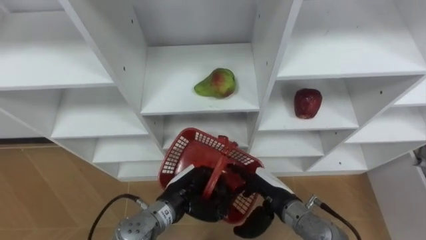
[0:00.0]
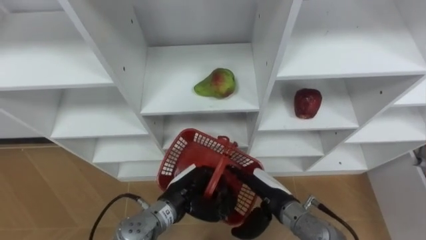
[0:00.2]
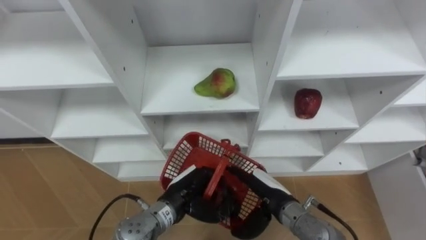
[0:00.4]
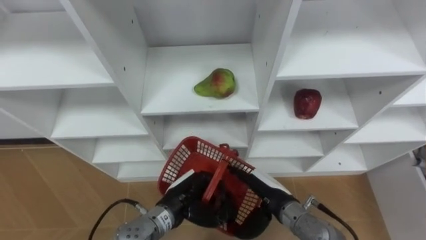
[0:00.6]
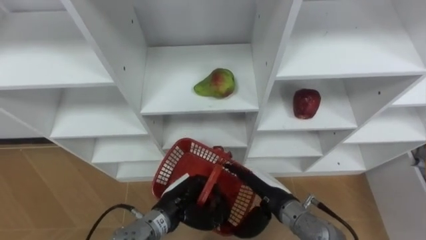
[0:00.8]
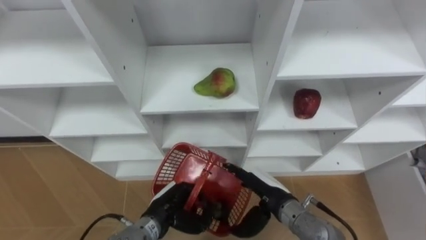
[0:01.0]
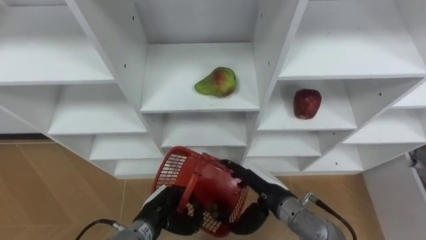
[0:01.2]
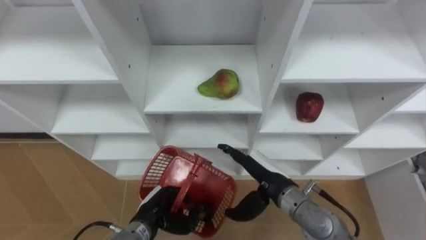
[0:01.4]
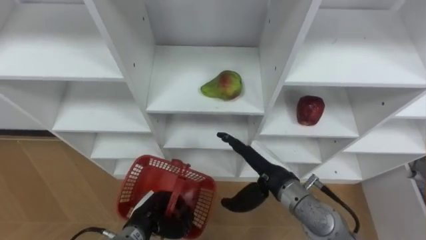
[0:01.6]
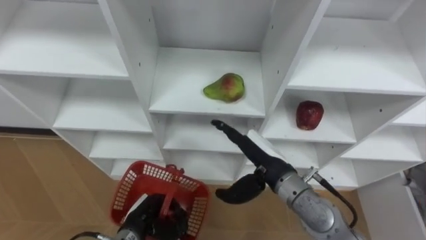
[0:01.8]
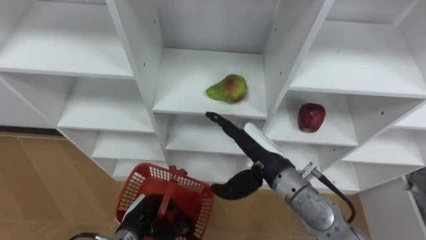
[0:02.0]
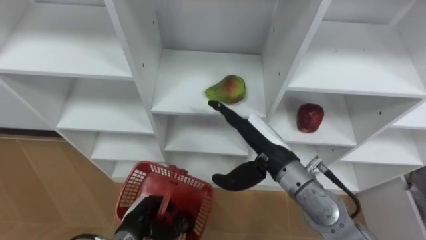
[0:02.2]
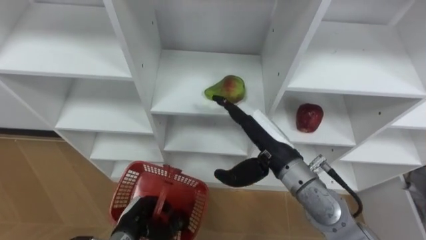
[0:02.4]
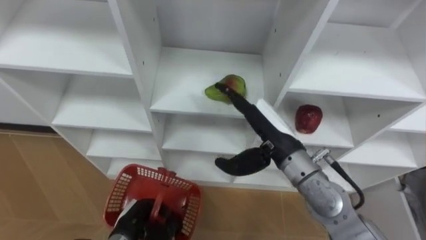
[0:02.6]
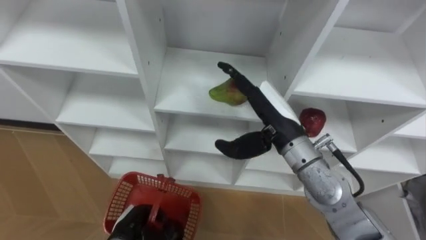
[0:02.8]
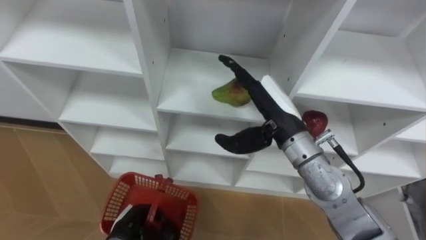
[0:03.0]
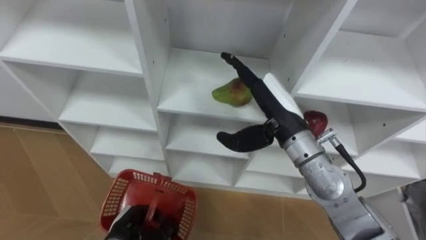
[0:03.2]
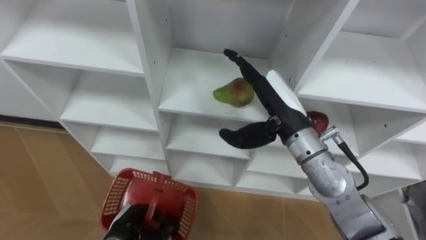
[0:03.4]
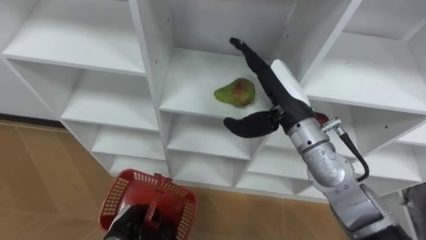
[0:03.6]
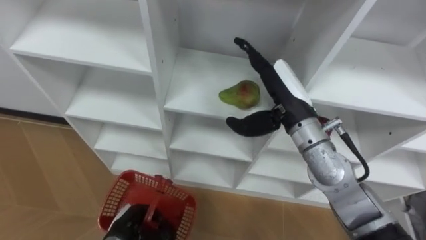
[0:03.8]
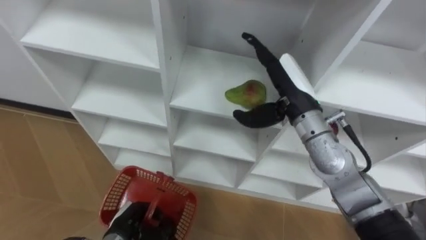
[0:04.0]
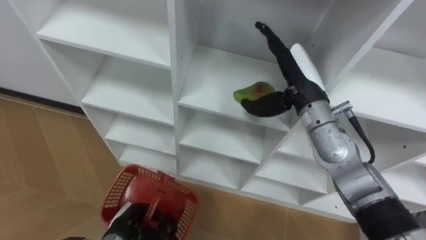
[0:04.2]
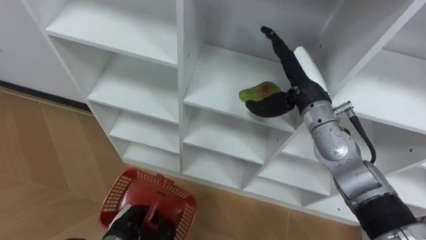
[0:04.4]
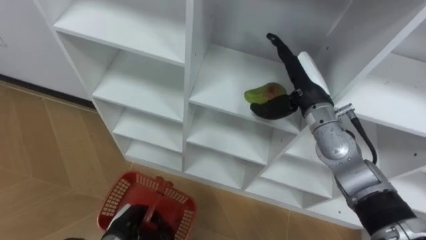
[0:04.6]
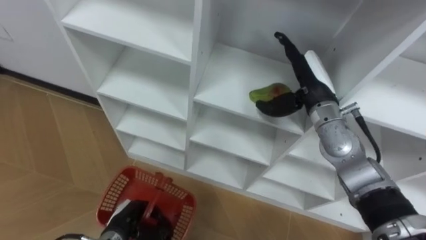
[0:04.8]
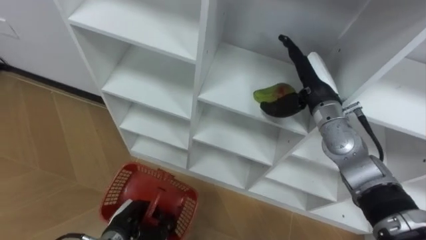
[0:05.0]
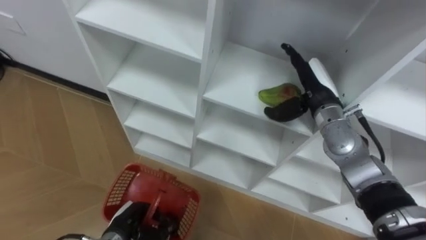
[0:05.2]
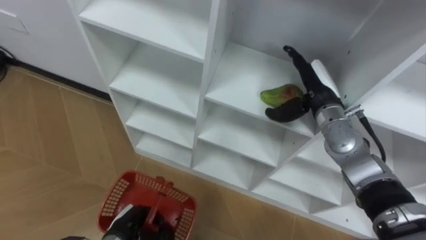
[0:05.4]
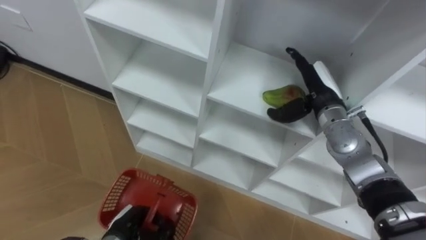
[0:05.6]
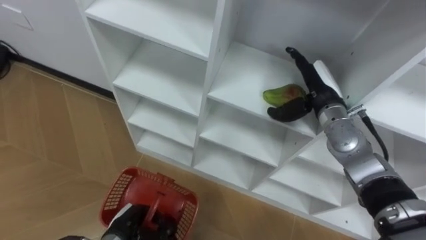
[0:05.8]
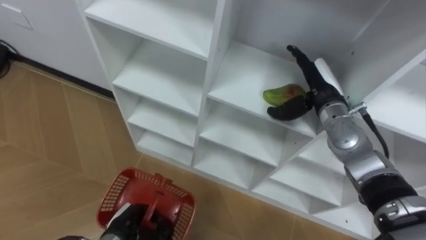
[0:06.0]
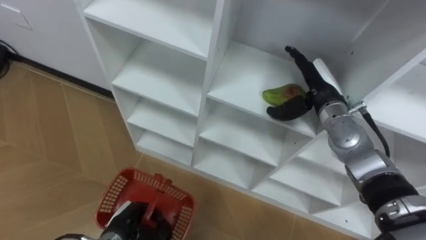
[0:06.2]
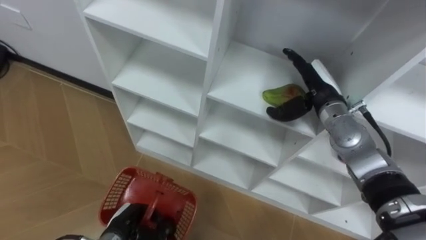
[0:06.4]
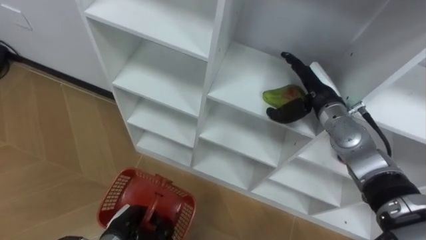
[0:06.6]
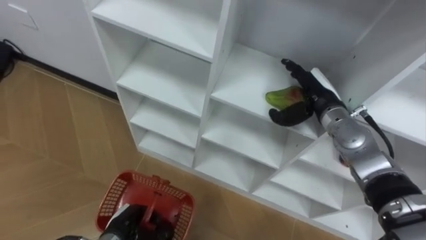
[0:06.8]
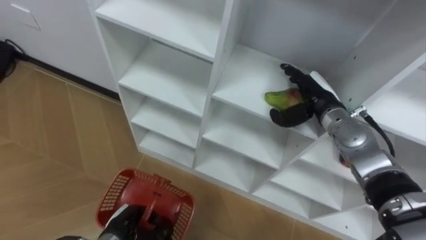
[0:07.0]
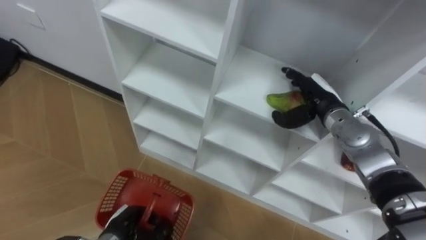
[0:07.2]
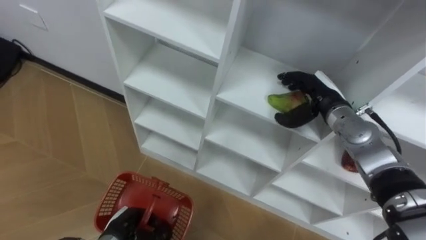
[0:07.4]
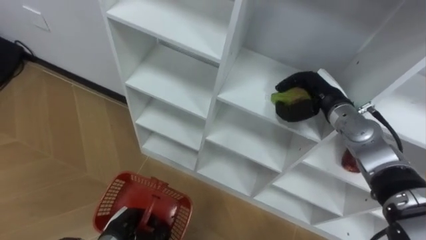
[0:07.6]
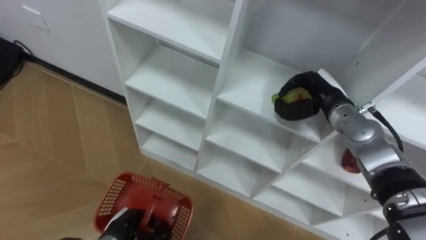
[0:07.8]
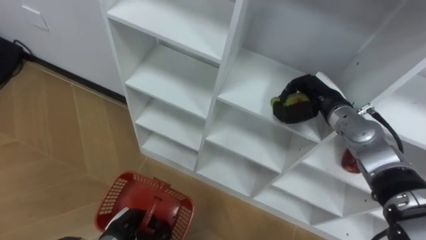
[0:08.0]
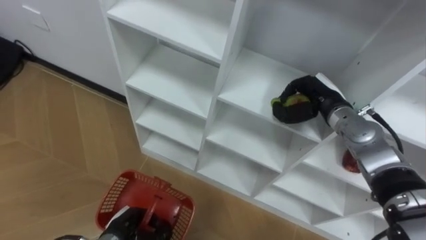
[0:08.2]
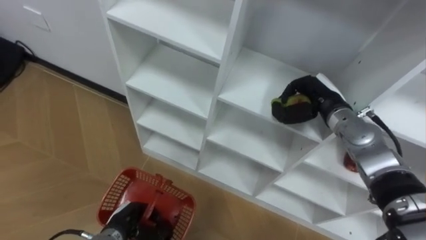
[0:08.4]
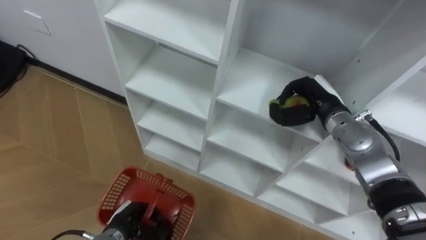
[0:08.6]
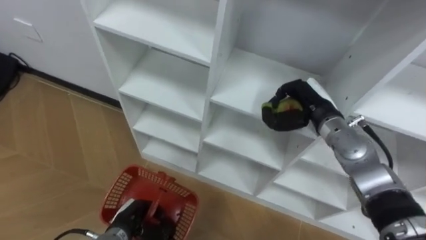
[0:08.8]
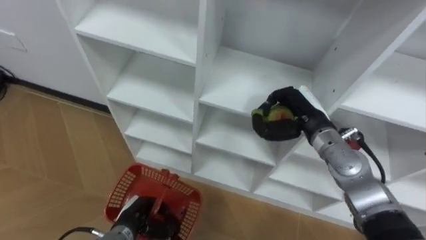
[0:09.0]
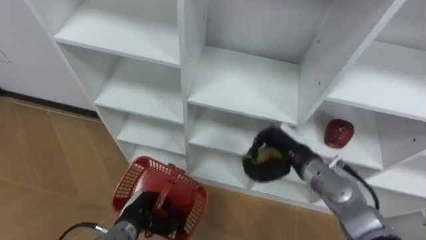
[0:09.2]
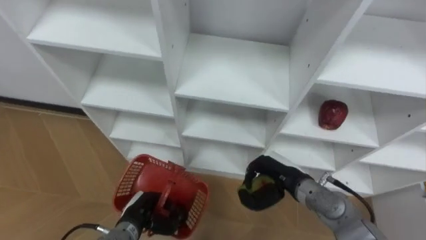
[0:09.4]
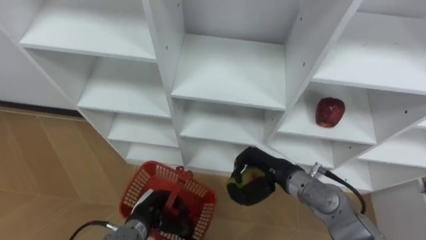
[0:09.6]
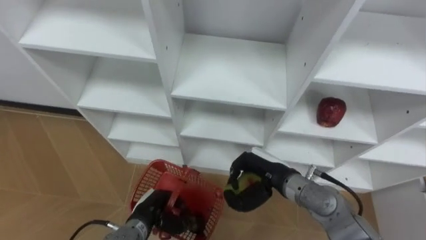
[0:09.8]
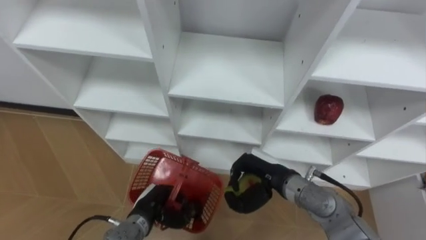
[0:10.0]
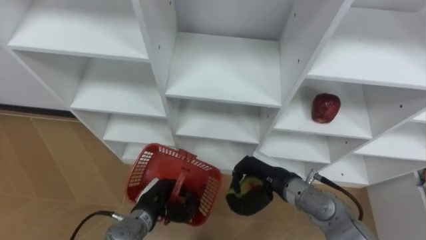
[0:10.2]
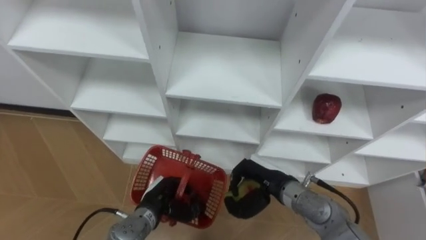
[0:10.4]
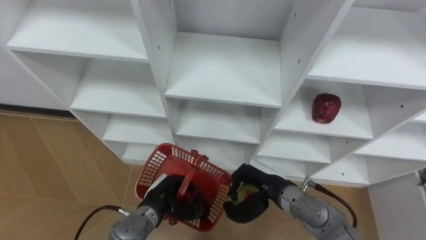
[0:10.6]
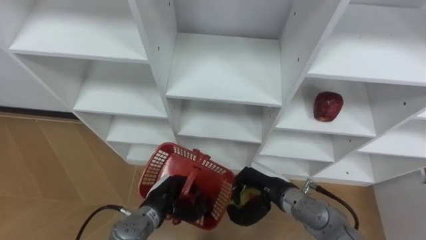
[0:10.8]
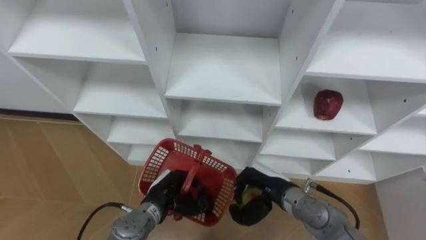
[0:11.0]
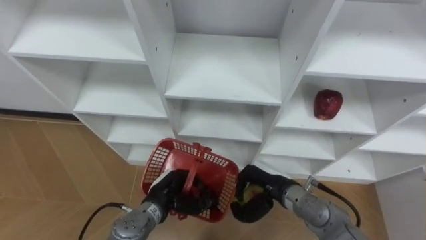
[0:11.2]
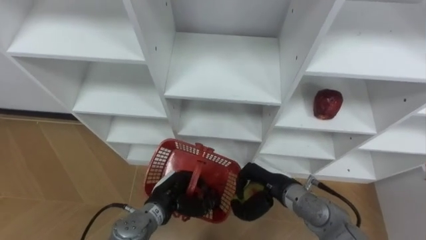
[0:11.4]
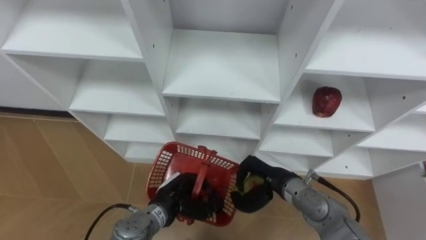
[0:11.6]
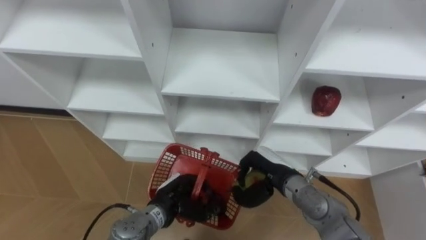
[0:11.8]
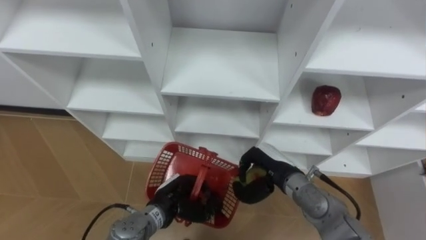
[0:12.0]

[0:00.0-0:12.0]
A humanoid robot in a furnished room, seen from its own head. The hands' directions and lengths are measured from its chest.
Task of the whole recording: Hold the basket and collect the fruits from 3 different cells of the closet into it.
0:00.0 to 0:01.6: The right hand is displaced upward by approximately 5 cm; the left hand travels to the left and downward by about 10 cm.
0:01.6 to 0:03.0: The left hand moves approximately 5 cm. Meanwhile the right hand is displaced upward by some 10 cm.
0:03.0 to 0:04.4: The right hand moves forward and to the right, approximately 10 cm.
0:04.4 to 0:06.0: The right hand goes approximately 5 cm downward and to the right.
0:06.0 to 0:07.6: The right hand closes its fingers.
0:07.6 to 0:09.0: The right hand changes place by some 5 cm.
0:09.0 to 0:10.4: The left hand shifts roughly 5 cm to the right, while the right hand is displaced backward, downward and to the left by approximately 15 cm.

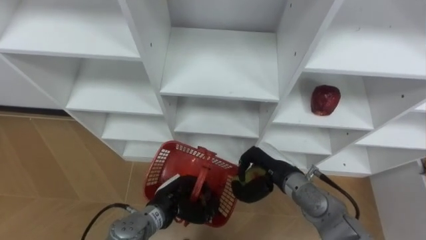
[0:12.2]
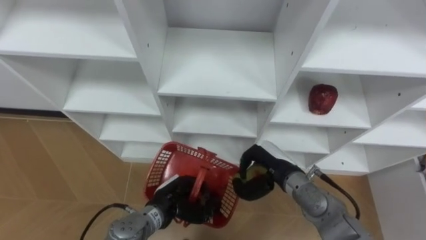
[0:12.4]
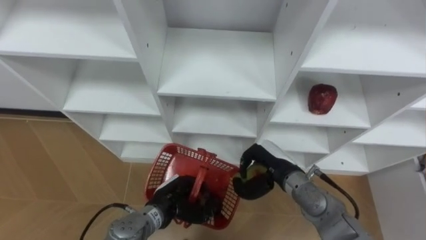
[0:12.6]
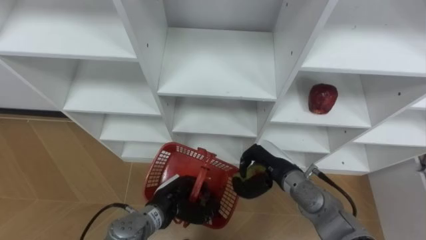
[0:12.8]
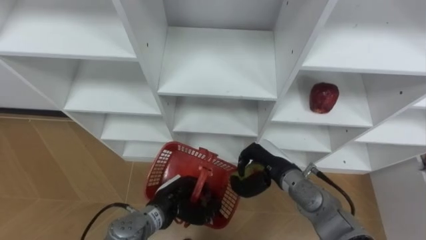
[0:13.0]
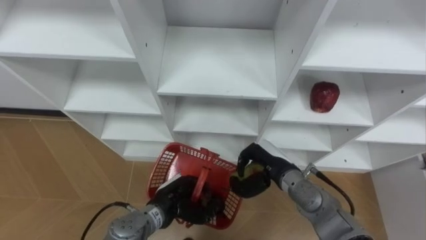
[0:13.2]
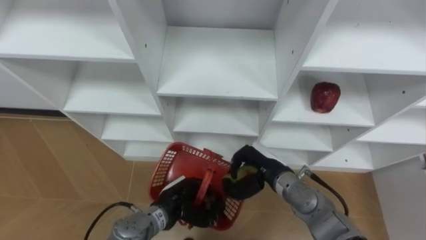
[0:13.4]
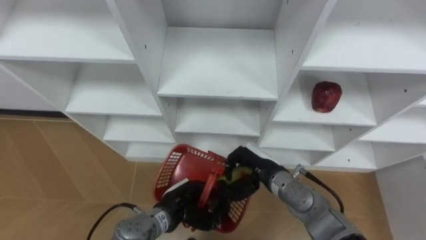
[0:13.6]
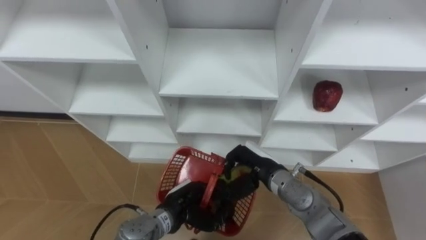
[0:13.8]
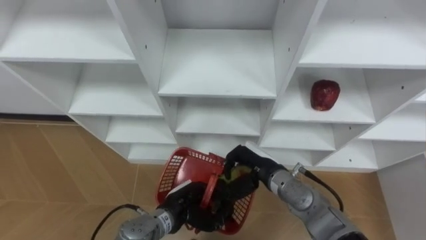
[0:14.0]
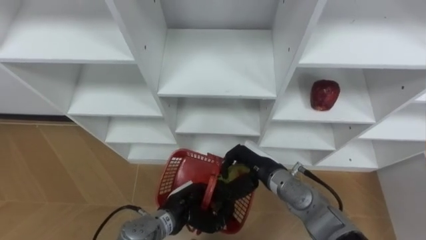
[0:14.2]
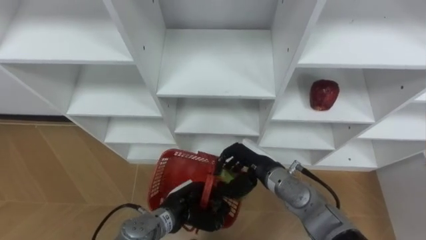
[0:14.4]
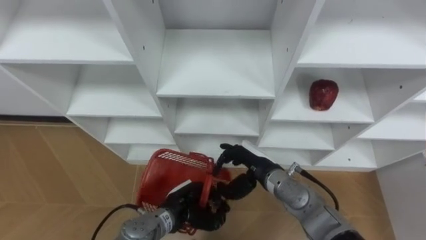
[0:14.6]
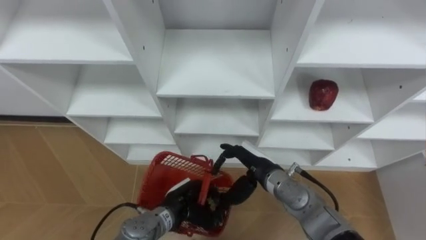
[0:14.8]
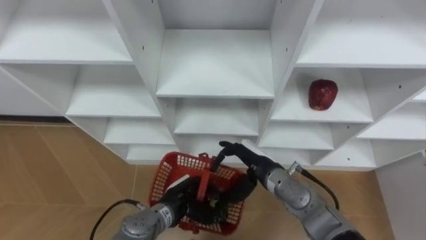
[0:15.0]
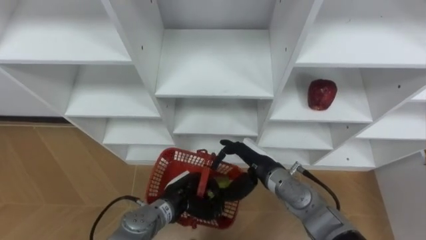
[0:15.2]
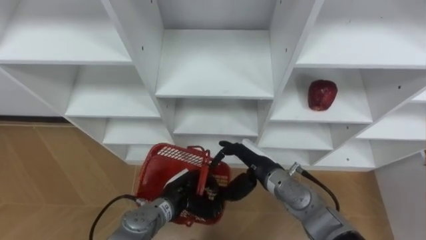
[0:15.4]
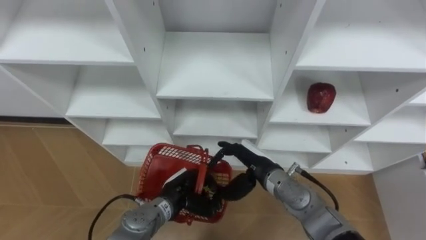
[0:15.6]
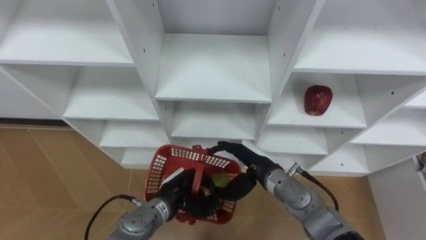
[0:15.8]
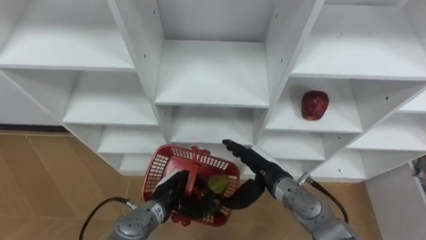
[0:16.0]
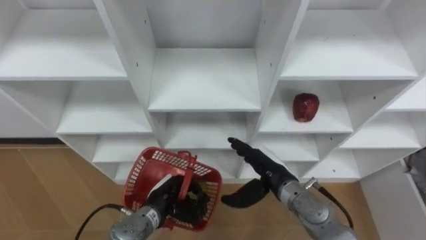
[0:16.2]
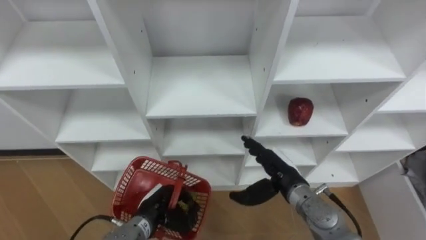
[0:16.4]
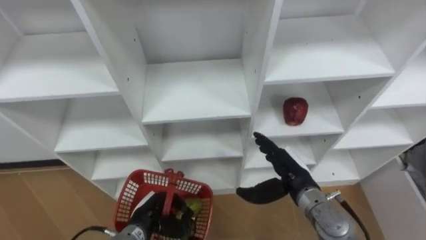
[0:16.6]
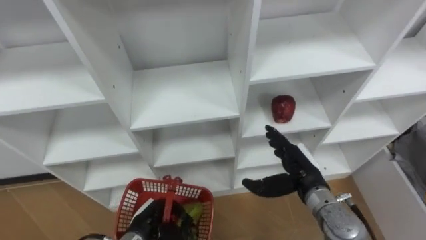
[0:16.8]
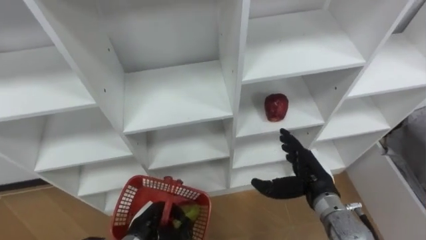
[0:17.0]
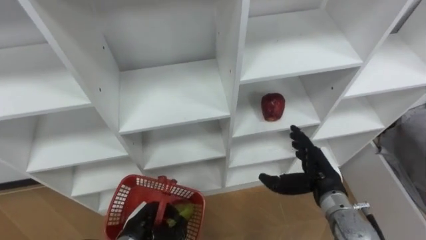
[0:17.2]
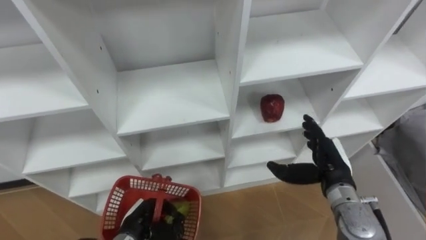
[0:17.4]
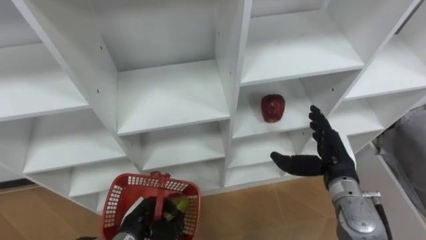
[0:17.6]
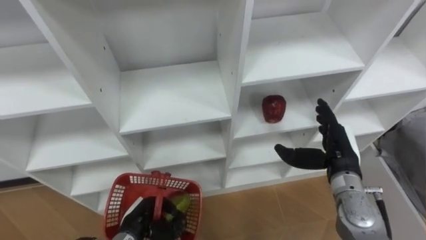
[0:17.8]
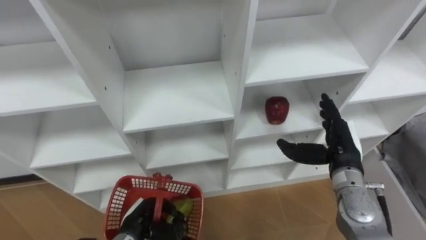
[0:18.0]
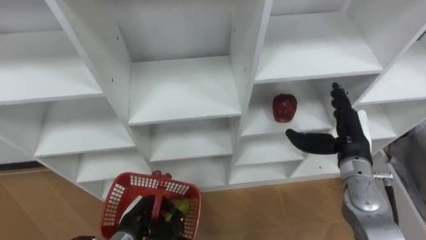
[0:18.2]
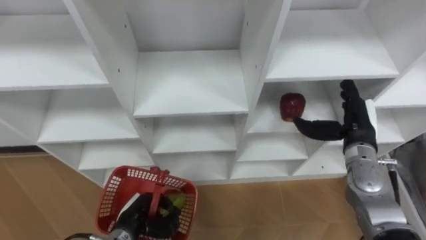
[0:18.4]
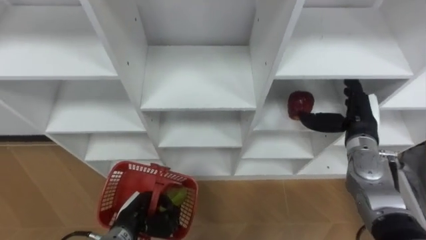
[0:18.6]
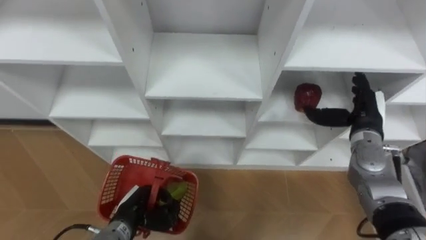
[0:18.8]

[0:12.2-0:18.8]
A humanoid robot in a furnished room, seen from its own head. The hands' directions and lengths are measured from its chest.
Task of the whole recording: Hold the basket and collect the fruits from 3 different cells of the closet into it.
0:13.8 to 0:15.4: The right hand opens.
0:15.4 to 0:17.2: The left hand goes about 10 cm to the left and backward. Meanwhile the right hand shifts roughly 15 cm to the right.
0:17.2 to 0:18.8: The right hand is displaced forward, to the right and upward by some 15 cm.
